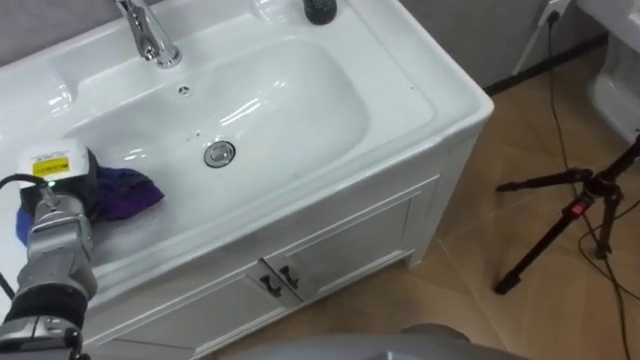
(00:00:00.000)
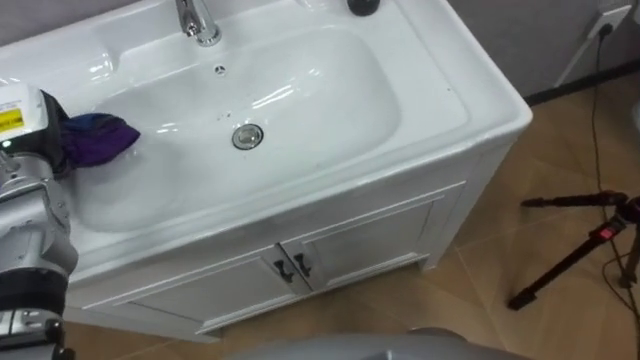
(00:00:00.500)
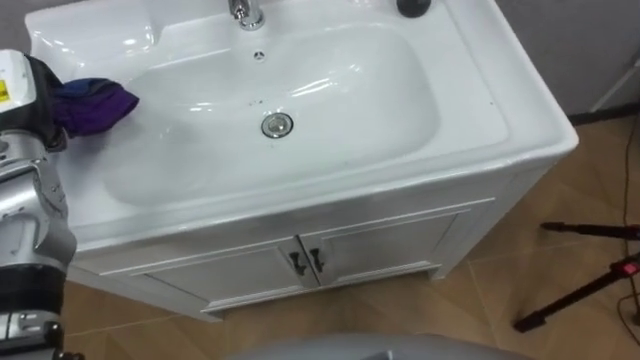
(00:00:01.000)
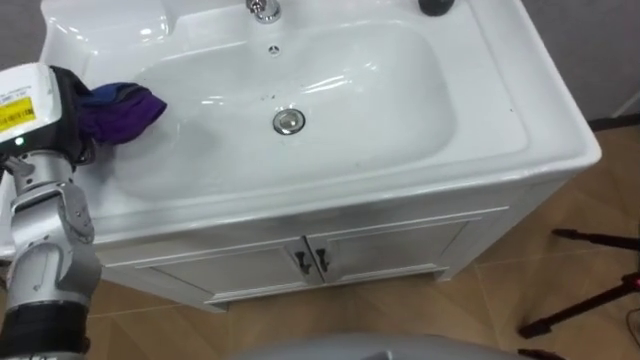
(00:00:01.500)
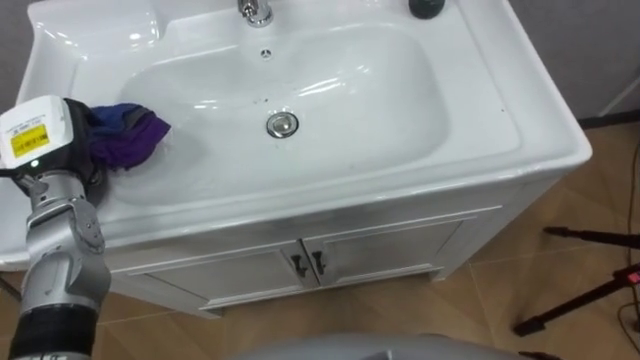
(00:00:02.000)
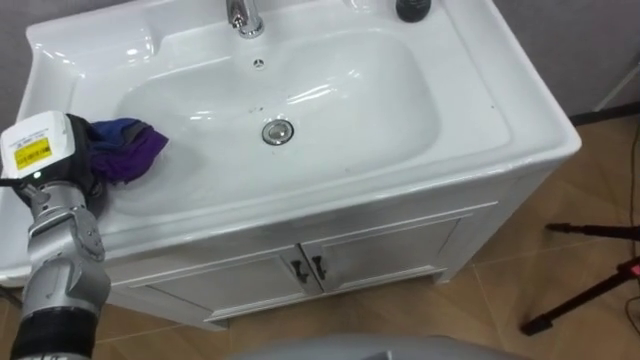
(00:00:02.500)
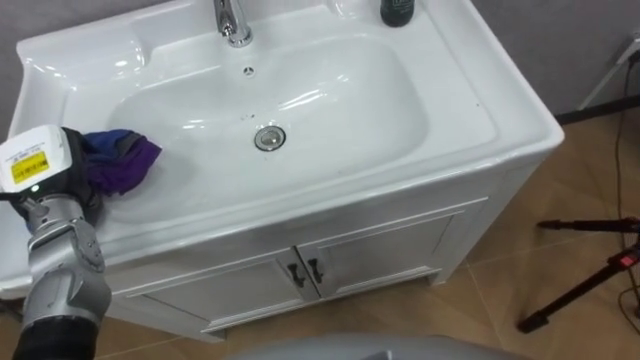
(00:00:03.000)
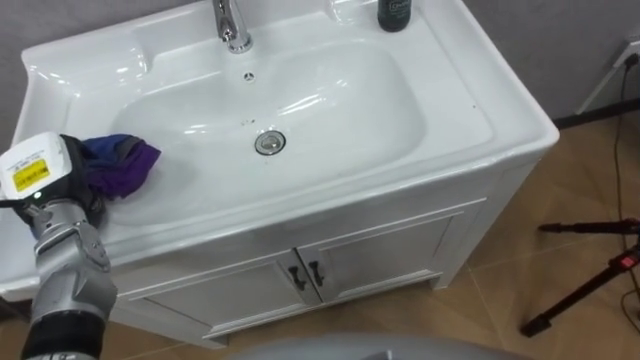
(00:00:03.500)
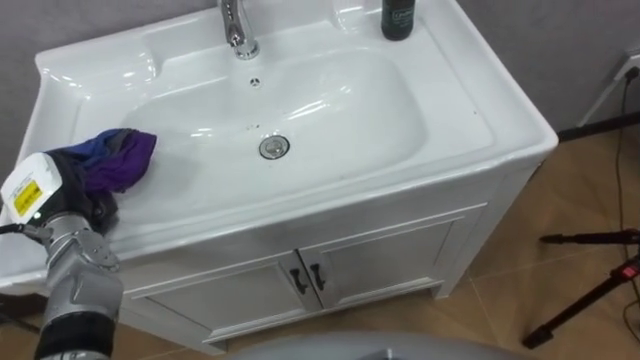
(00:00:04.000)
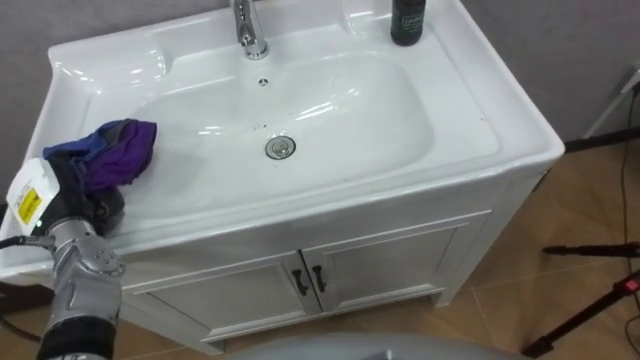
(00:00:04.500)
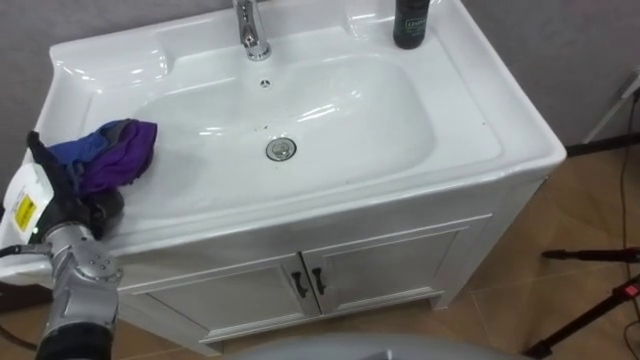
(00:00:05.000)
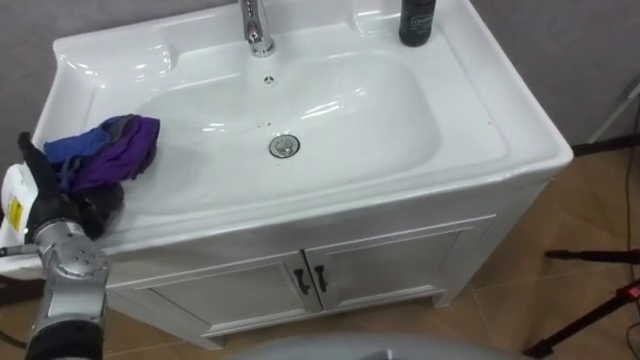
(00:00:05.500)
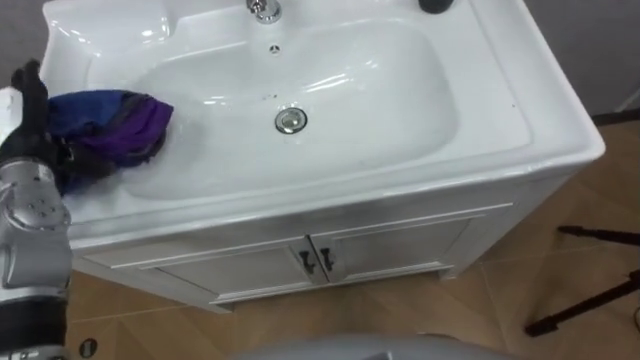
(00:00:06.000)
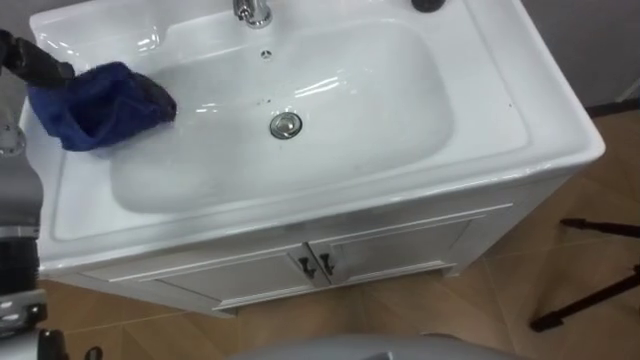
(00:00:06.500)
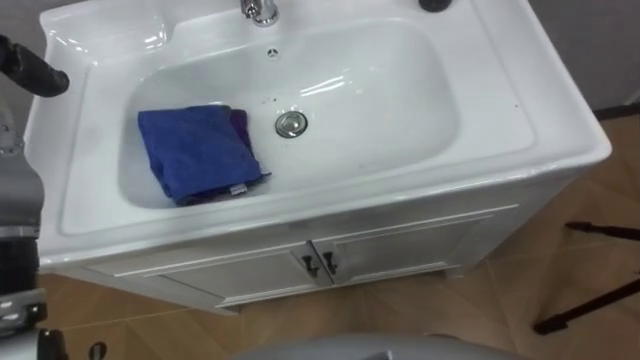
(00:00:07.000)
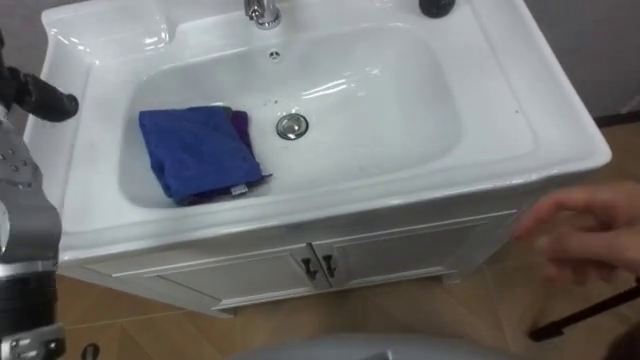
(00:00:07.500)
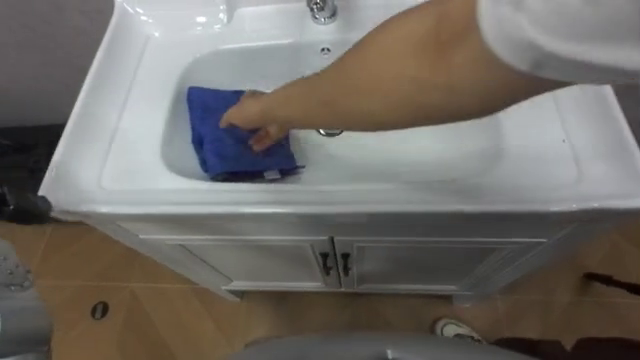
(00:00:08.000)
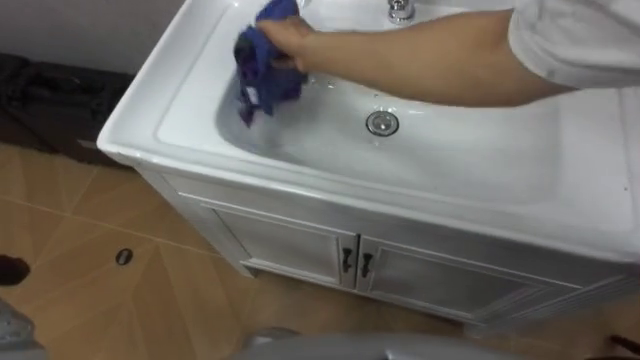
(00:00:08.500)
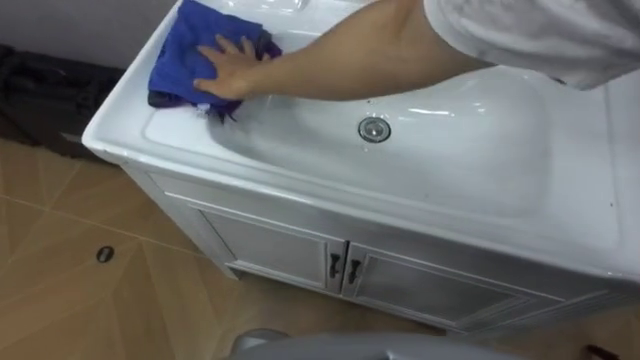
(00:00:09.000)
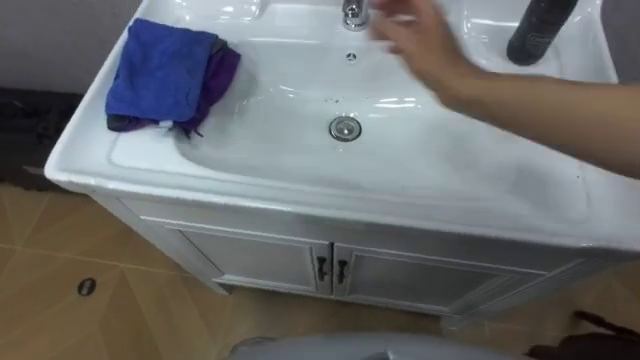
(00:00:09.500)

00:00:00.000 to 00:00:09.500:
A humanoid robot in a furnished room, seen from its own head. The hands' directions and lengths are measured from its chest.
Task of the whole recording: Use the cloth on the right to wipe away the black stain in the sink.
00:00:02.000 to 00:00:04.000: The left hand is displaced downward by about 5 cm.
00:00:04.000 to 00:00:05.500: The left hand opens.

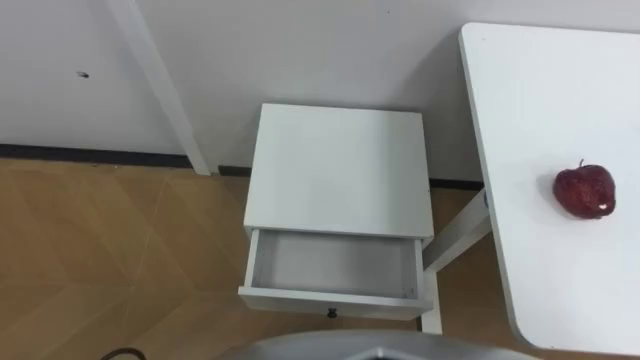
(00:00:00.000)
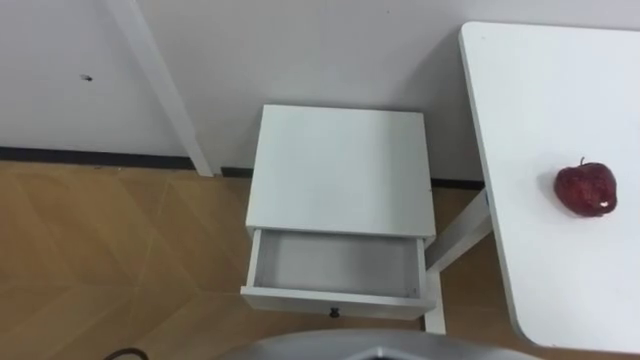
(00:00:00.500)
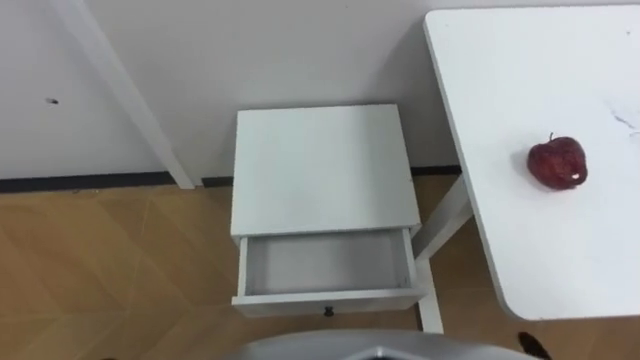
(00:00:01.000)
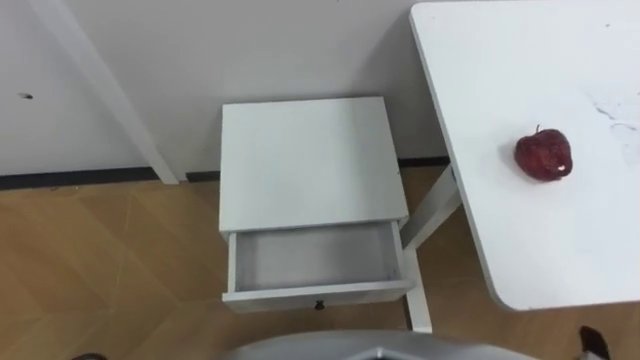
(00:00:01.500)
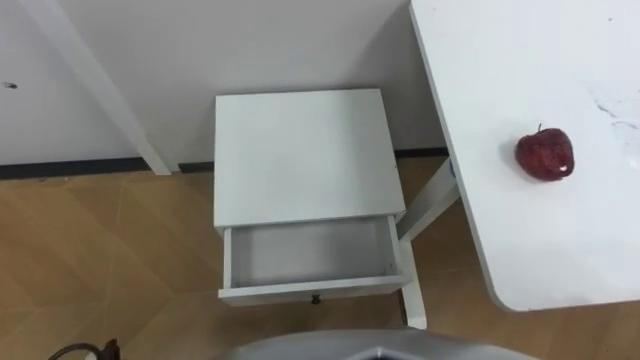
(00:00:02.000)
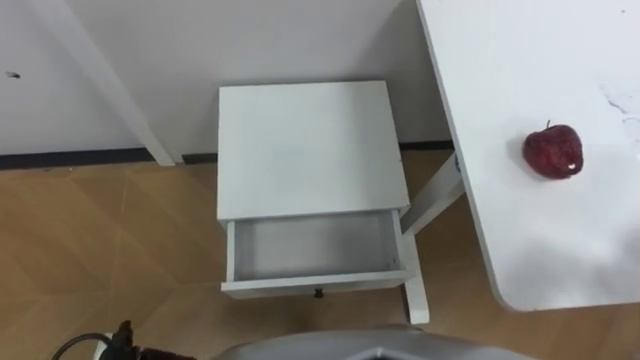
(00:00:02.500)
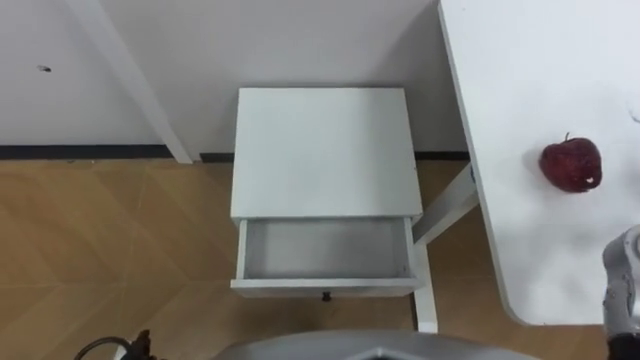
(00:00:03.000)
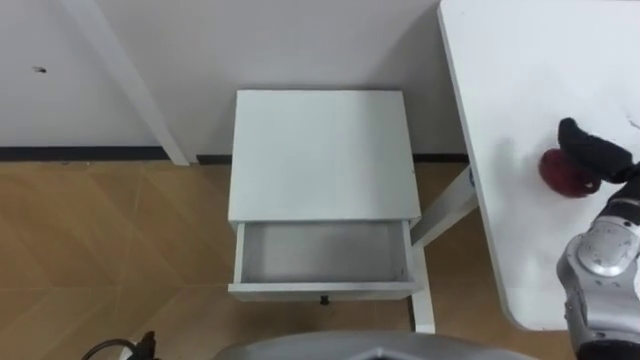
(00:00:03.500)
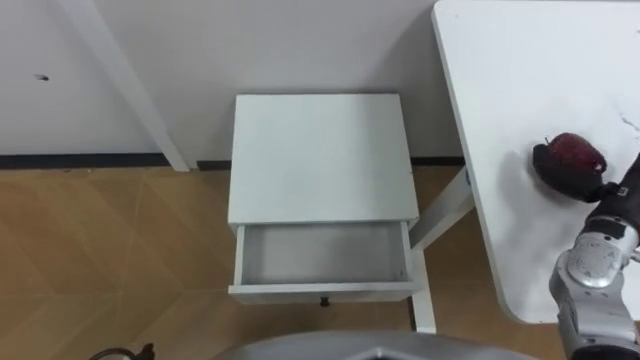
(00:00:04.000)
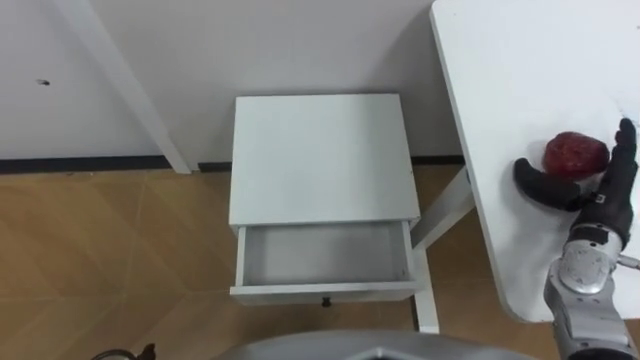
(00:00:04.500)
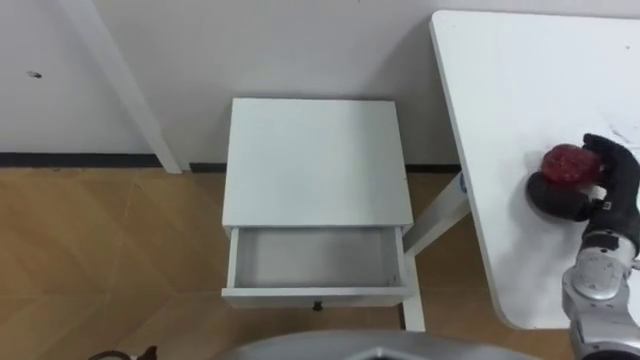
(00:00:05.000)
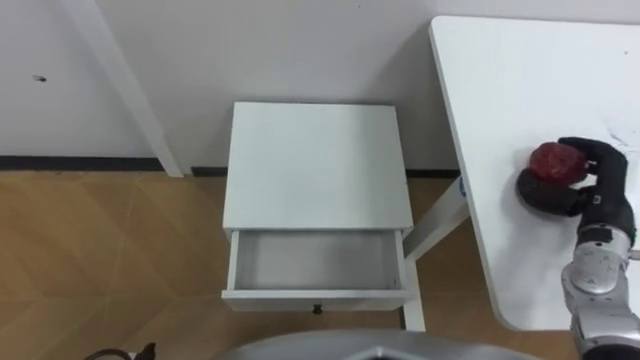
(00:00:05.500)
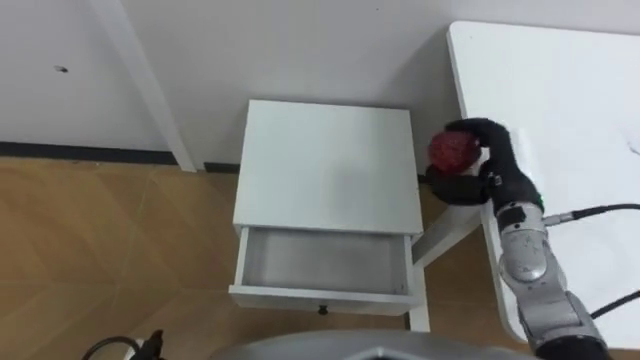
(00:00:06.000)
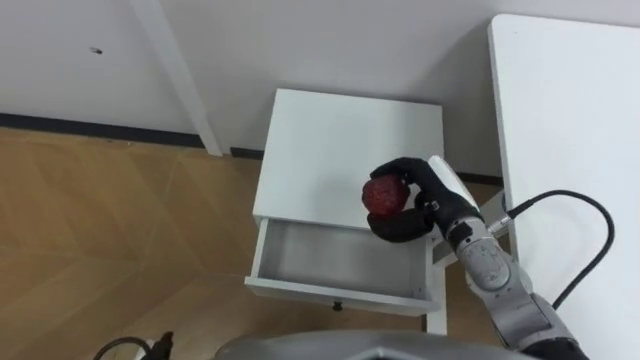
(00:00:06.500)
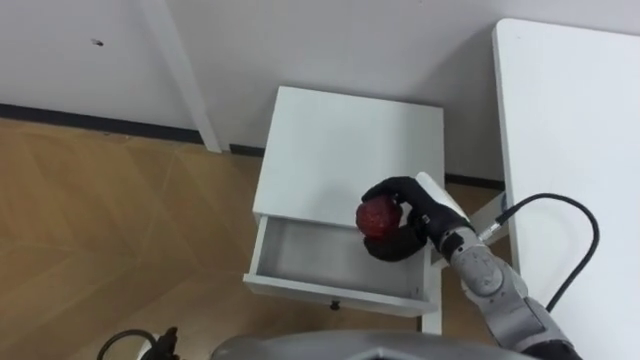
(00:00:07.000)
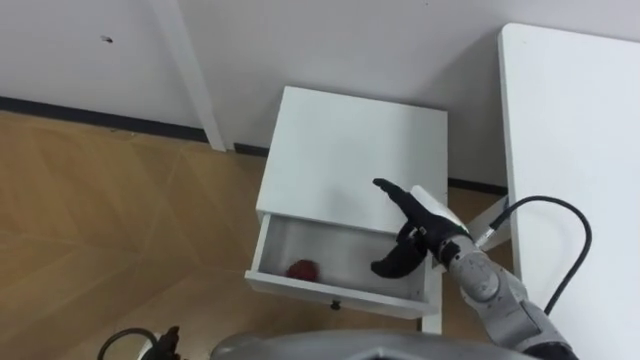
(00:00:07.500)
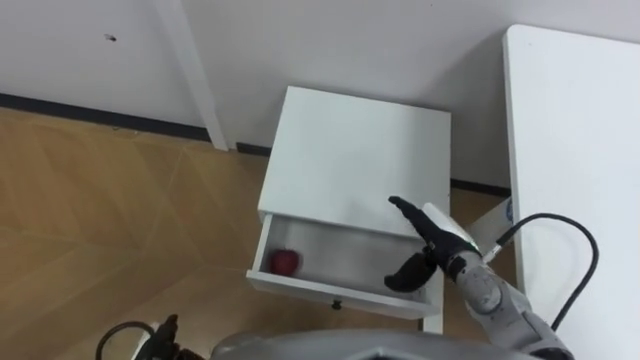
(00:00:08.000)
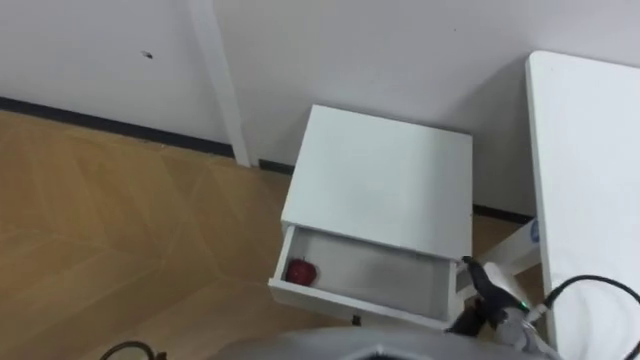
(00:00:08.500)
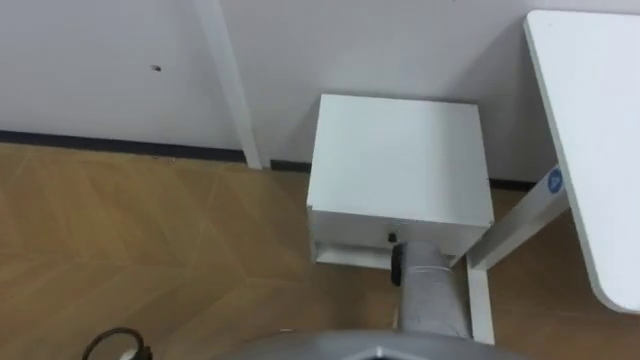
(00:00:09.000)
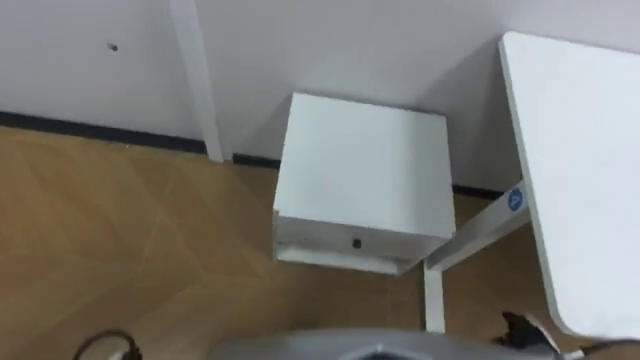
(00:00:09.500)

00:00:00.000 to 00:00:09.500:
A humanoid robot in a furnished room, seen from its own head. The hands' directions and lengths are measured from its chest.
Task of the whole recording: Pick up the apple from the table, put it in the drawer, and close the drawer with leg.
00:00:04.000 to 00:00:05.500: The right hand closes up.
00:00:05.500 to 00:00:07.500: The right hand travels to the left by roughly 20 cm, and opens.

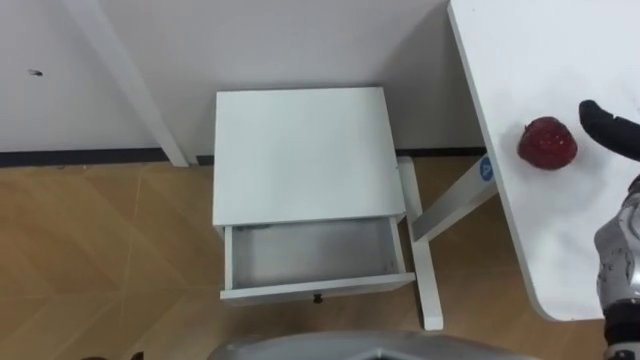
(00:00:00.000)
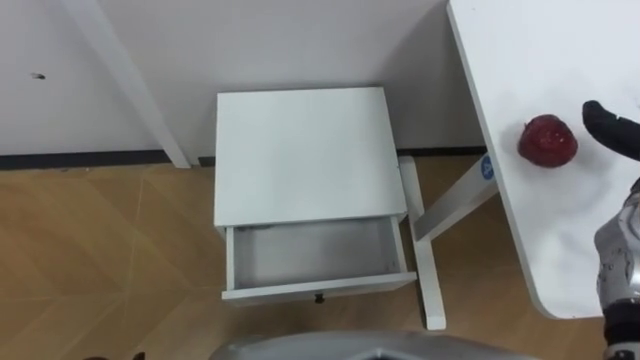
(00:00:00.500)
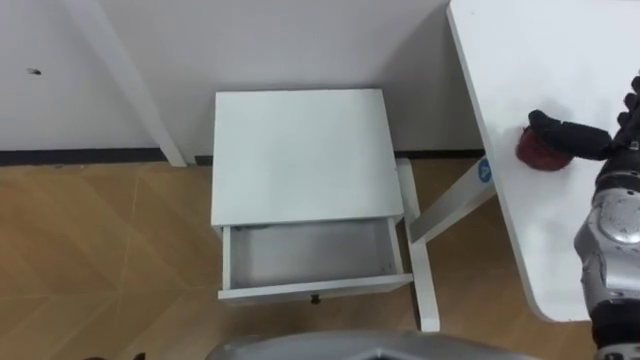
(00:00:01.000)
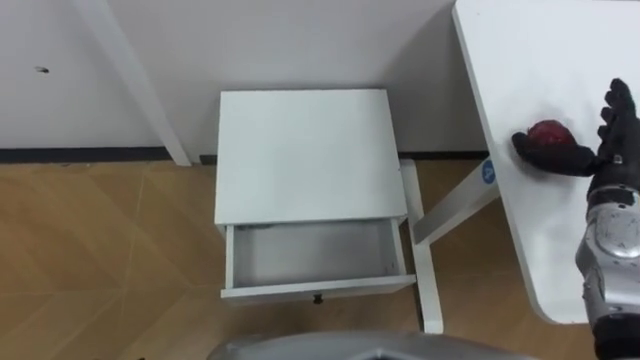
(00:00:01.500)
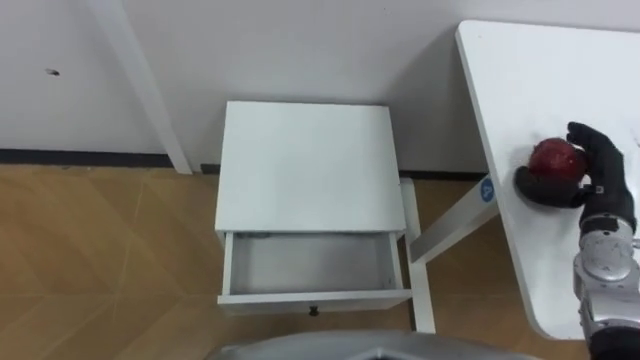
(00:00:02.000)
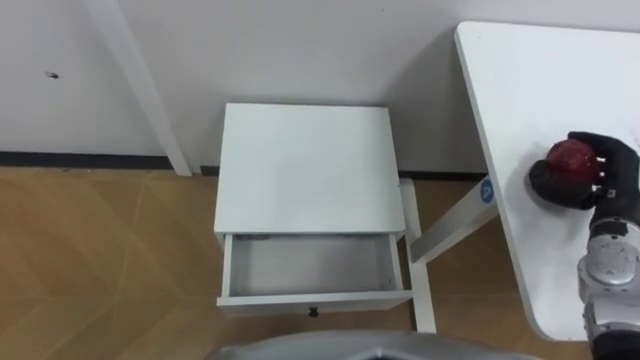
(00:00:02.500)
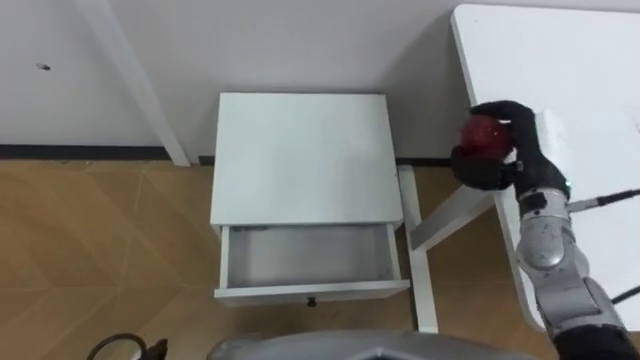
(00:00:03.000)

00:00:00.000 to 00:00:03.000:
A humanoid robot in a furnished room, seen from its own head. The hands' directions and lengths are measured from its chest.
Task of the whole recording: Pick up the apple from the table, put it in the drawer, and close the drawer with leg.
00:00:01.500 to 00:00:03.000: The right hand goes approximately 10 cm to the left, and closes.
